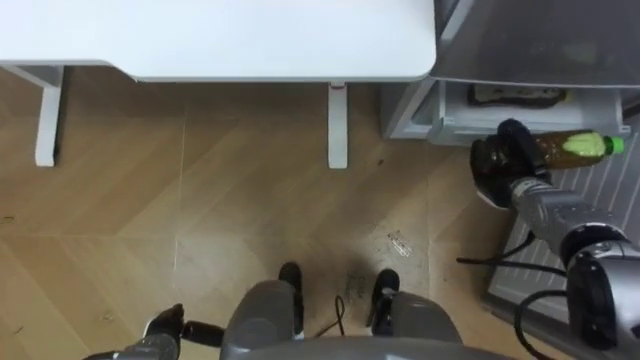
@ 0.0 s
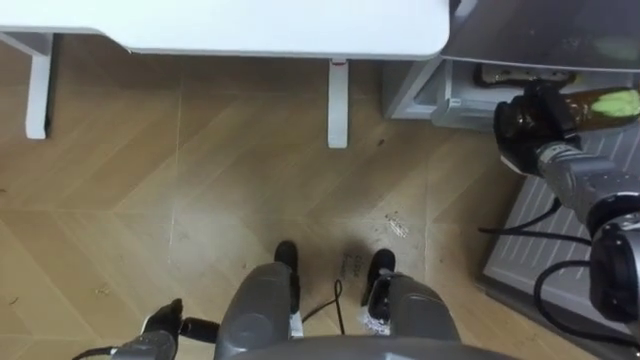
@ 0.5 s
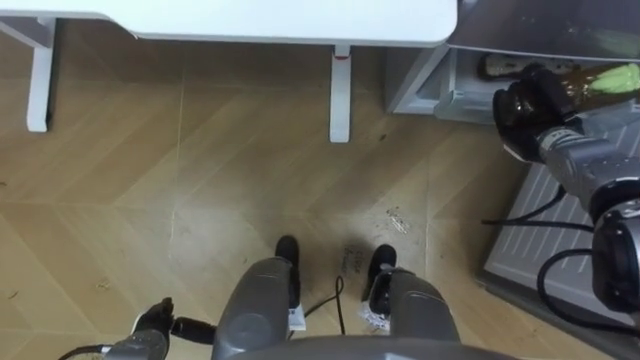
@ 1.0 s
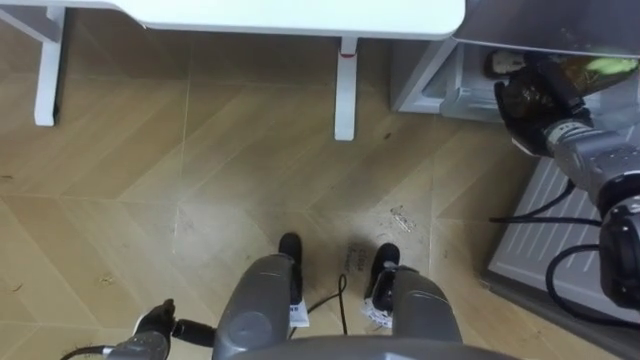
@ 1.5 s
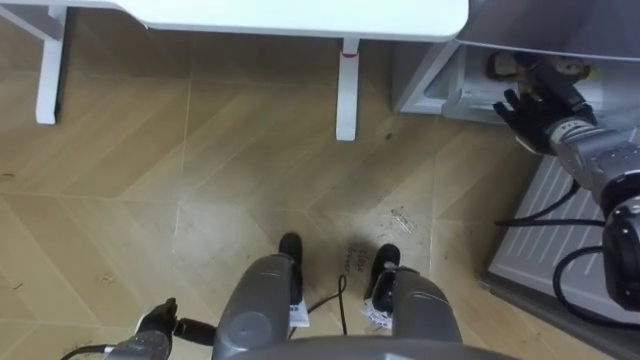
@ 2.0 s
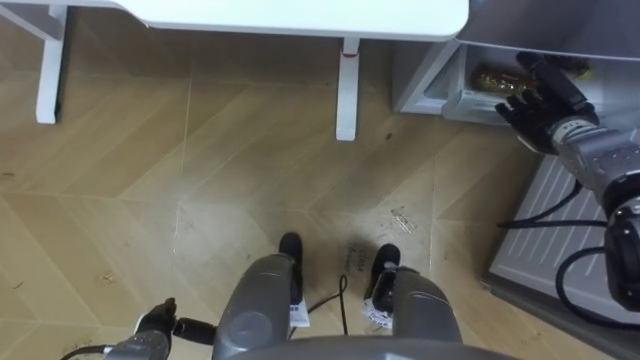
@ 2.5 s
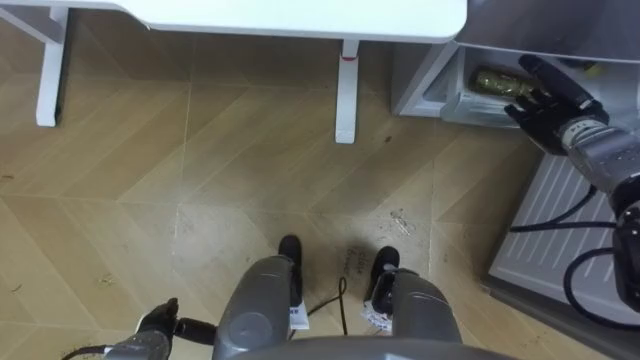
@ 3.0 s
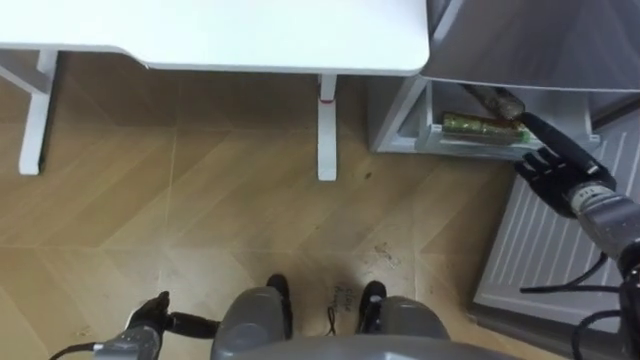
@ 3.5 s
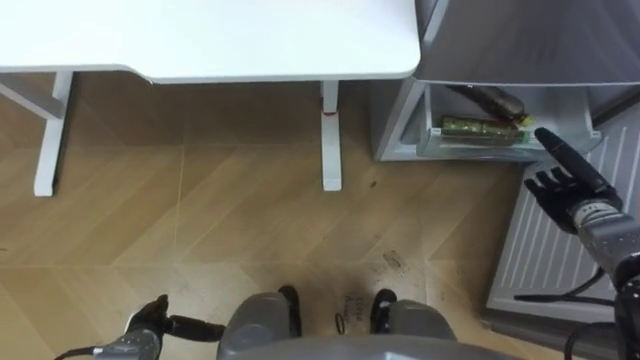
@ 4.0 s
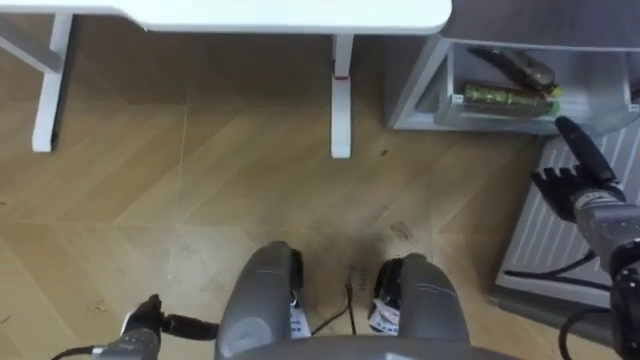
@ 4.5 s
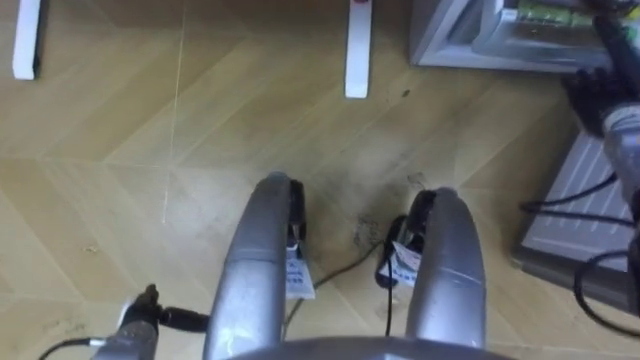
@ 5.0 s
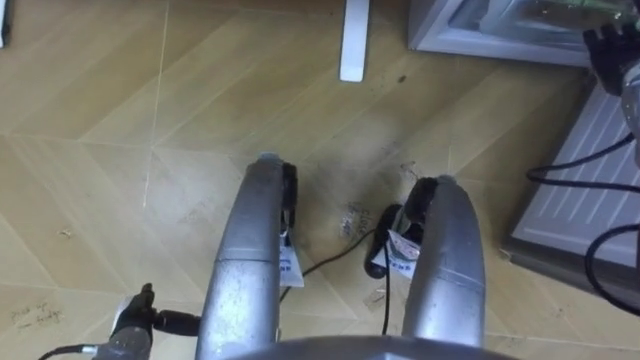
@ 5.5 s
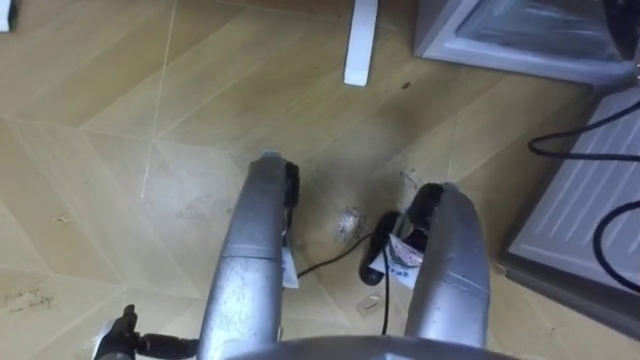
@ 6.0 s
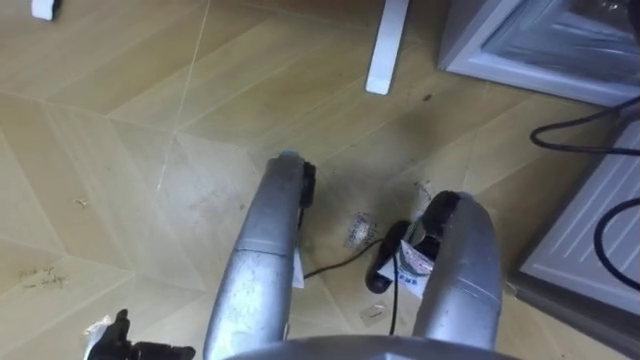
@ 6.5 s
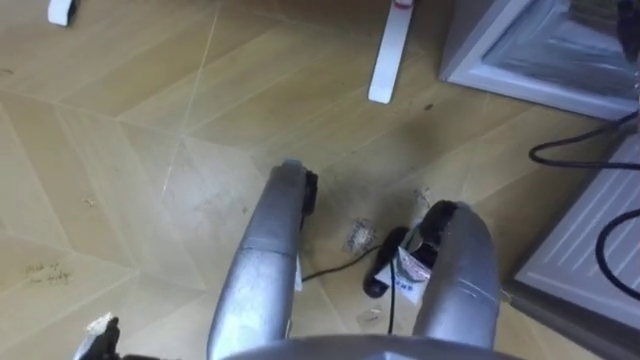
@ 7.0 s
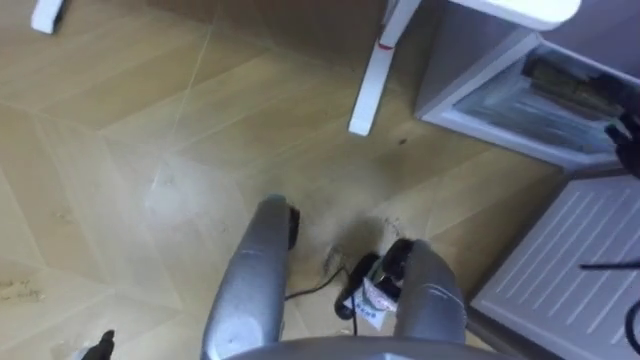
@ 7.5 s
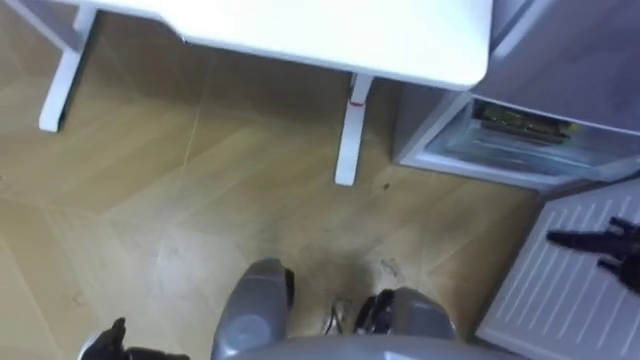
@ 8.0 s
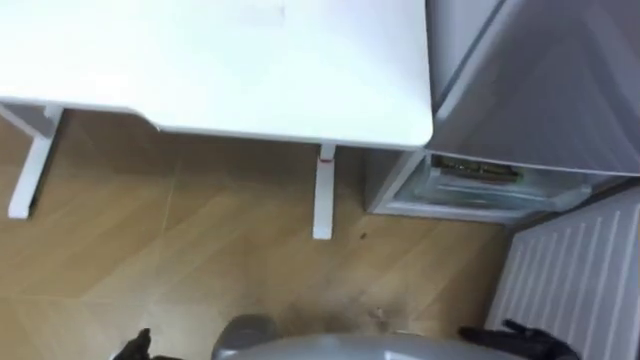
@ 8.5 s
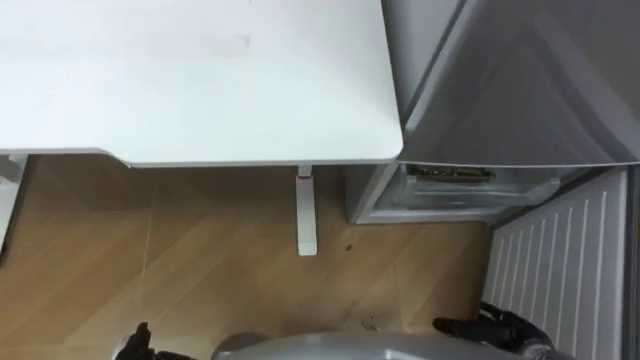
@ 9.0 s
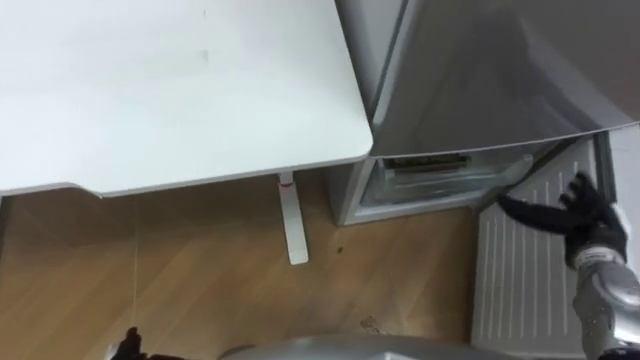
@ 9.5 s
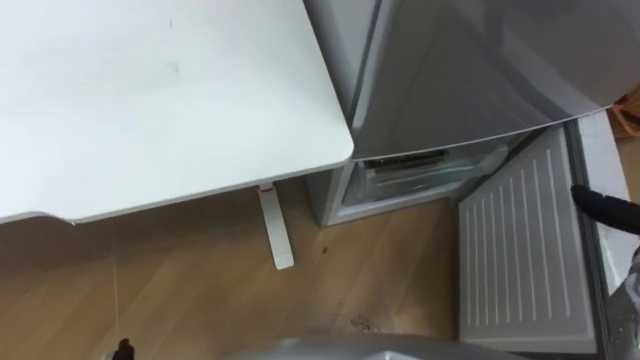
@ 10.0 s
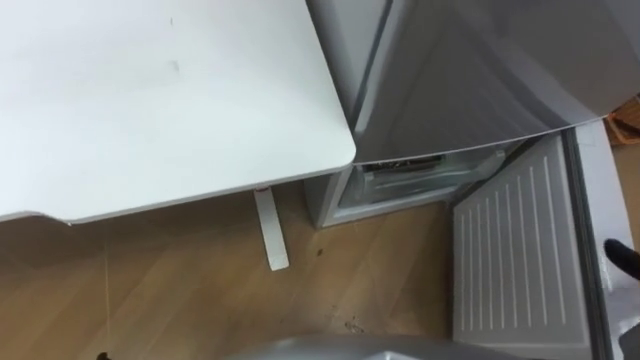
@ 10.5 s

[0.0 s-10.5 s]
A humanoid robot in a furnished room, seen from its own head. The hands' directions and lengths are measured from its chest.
Task of the whole recording: Place the drink on the table on the bottom shelf of the refrigerator, then close the drawer and the refrigerator door.
0.0 to 2.0 s: The right hand is displaced upward and forward by some 10 cm, and opens.
2.0 to 4.0 s: The right hand heads backward, downward and to the right, covering some 15 cm.

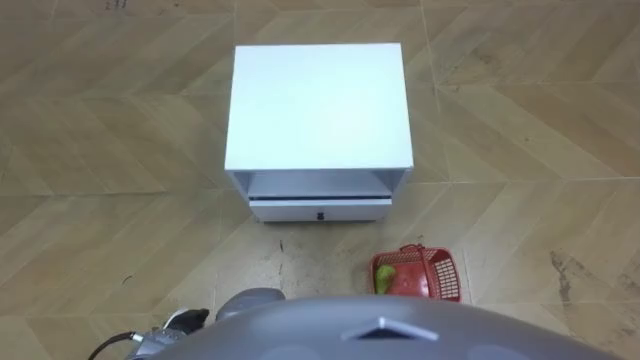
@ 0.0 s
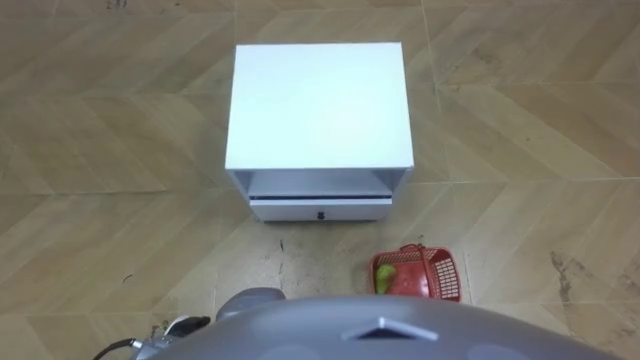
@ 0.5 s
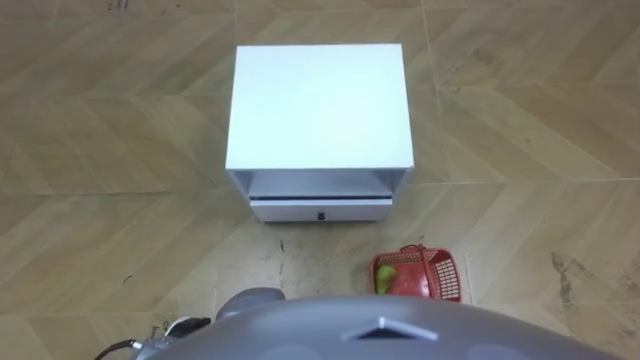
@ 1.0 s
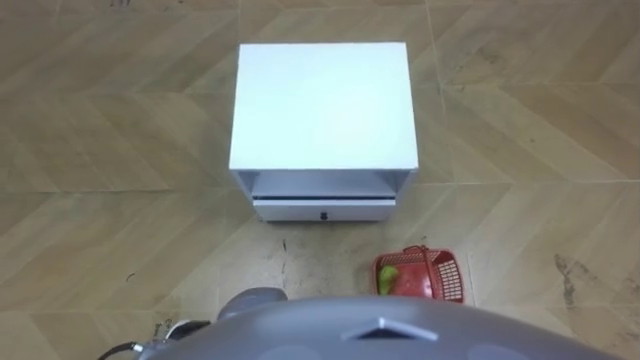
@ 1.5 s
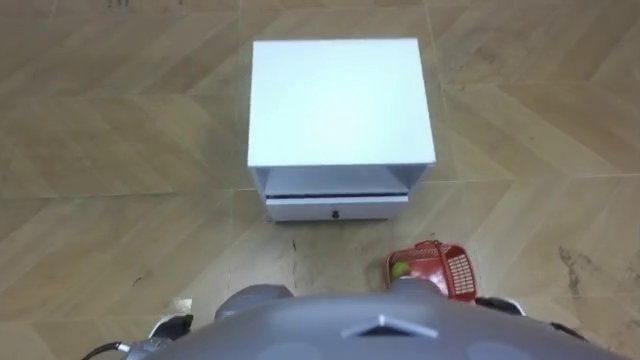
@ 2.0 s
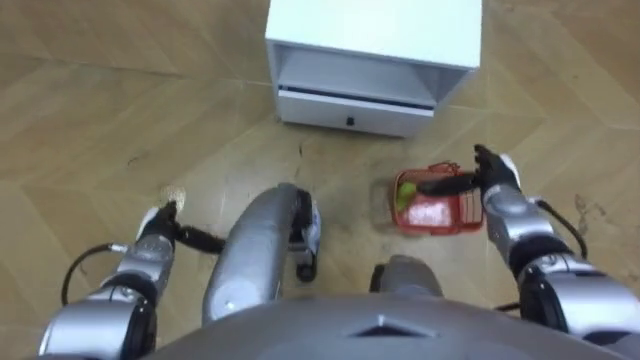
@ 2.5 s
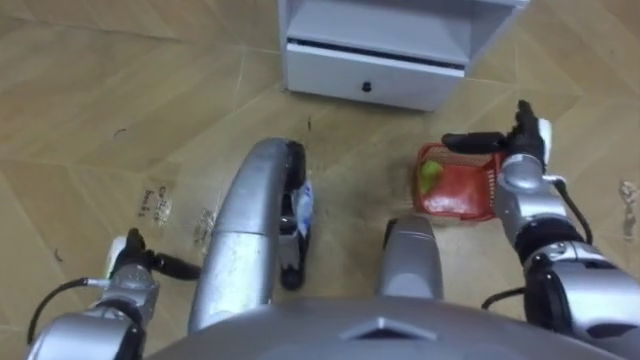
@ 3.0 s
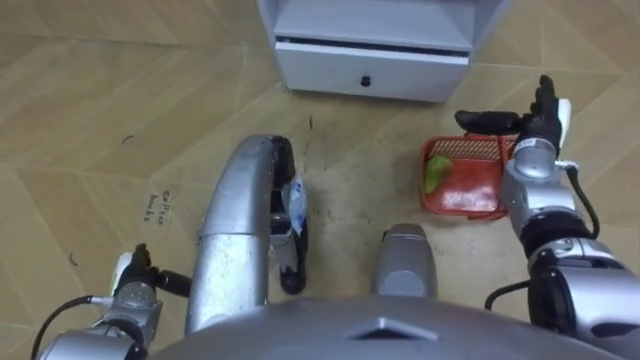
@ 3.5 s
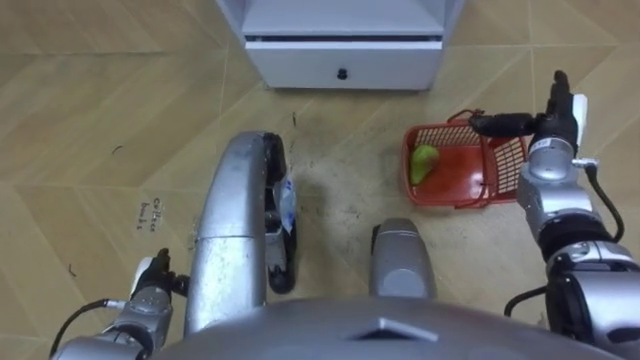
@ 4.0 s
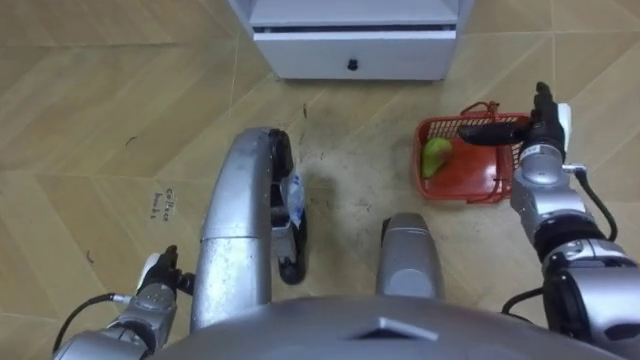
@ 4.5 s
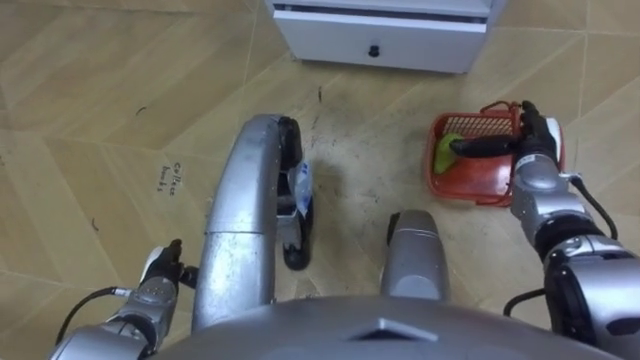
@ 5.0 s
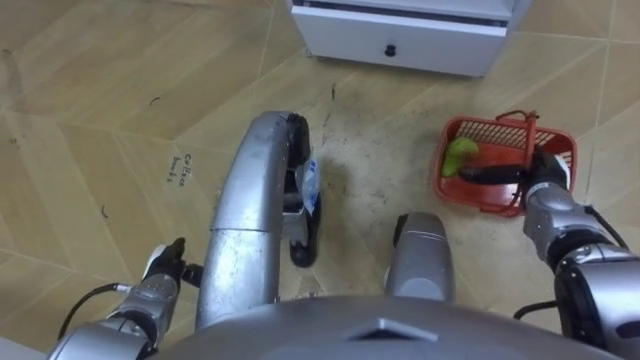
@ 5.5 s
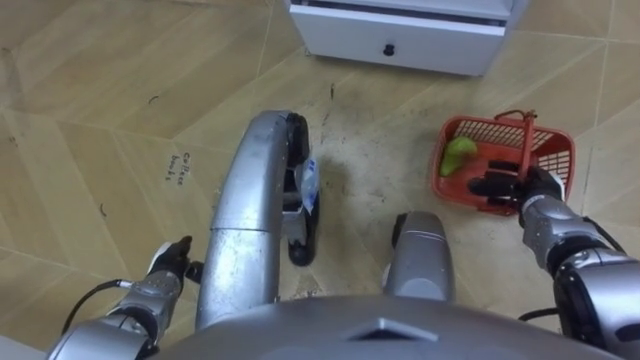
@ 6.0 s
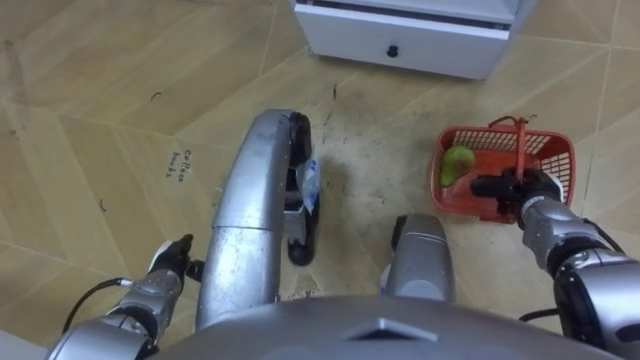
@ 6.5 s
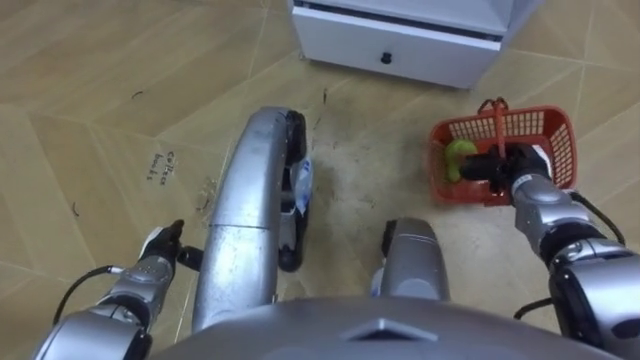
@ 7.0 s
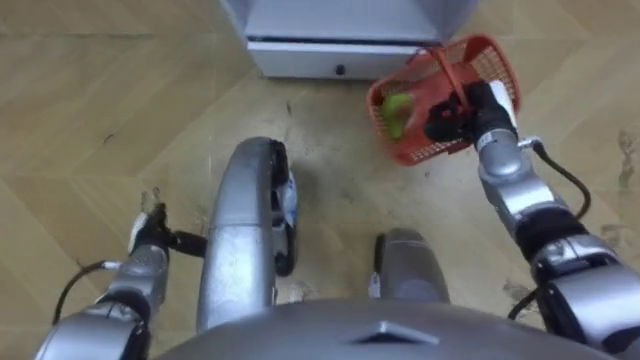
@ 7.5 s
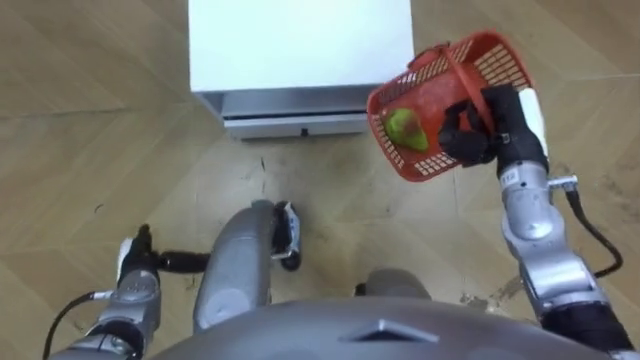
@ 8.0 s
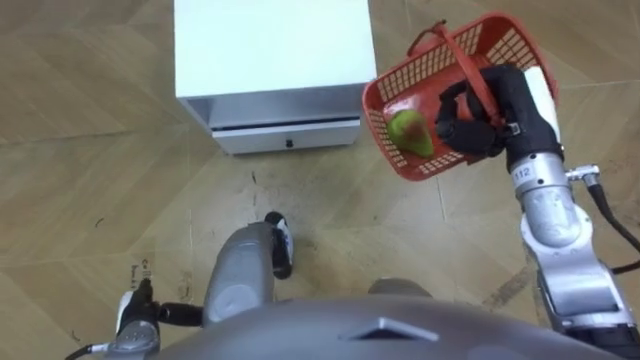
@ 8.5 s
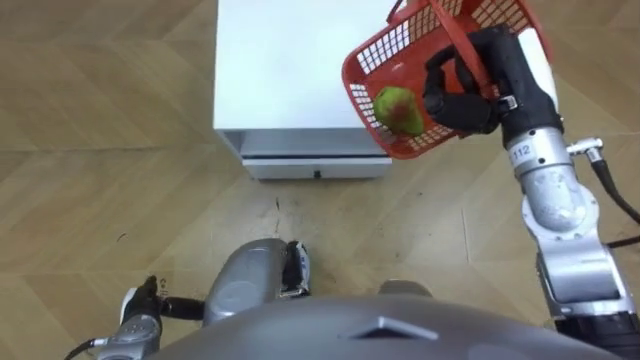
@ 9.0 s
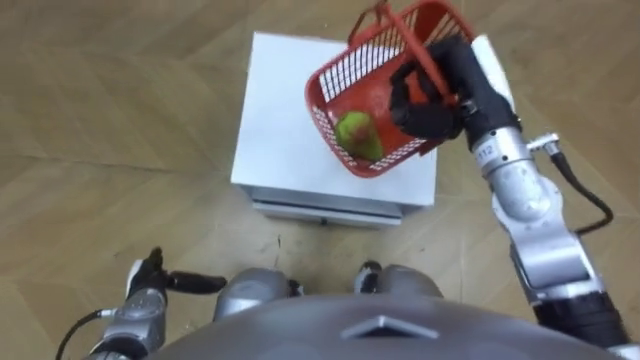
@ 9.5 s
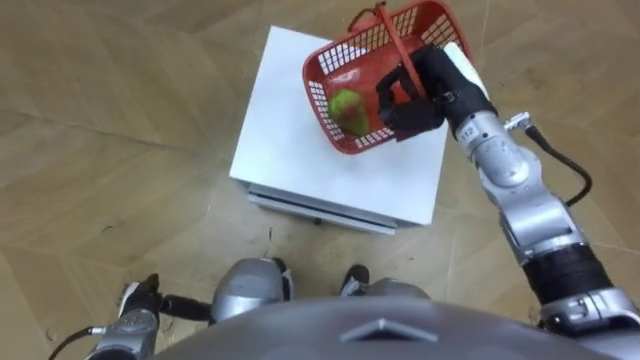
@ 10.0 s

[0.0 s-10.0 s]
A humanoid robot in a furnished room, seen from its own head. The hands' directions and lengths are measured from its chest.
Task of the whole recording: Pick up the fruit basket from the floor and place it on the cabinet.
2.0 to 4.0 s: The left hand heads forward, covering approximately 10 cm; the right hand shifts some 30 cm forward and upward.
4.0 to 6.0 s: The right hand moves backward and downward, about 10 cm, and closes.
6.0 to 8.0 s: The robot's body swings some 20 degrees to its right. The right hand heads upward and to the left, covering roughly 15 cm, and closes its fingers.
8.0 to 10.0 s: The left hand heads backward, covering some 5 cm, while the right hand heads to the left, covering some 10 cm.
